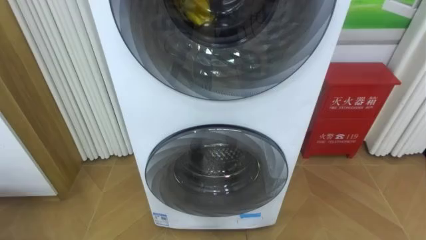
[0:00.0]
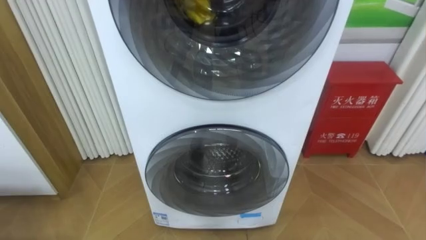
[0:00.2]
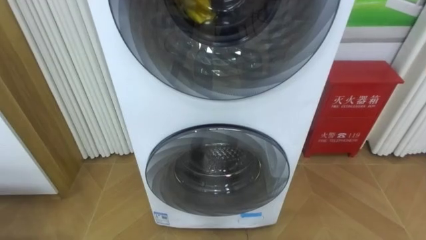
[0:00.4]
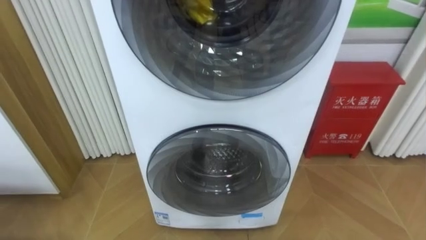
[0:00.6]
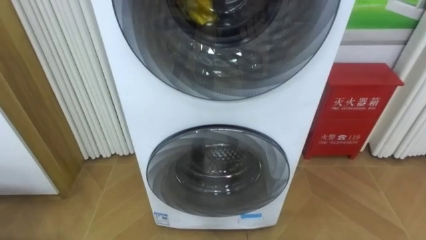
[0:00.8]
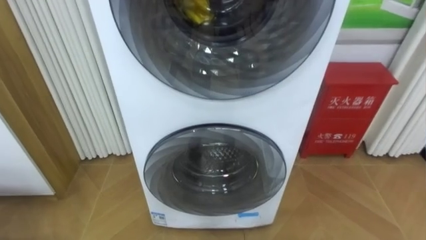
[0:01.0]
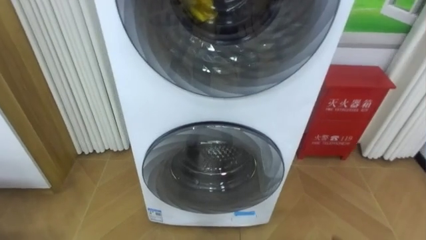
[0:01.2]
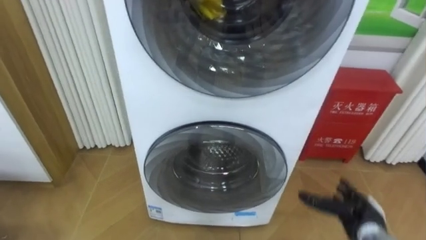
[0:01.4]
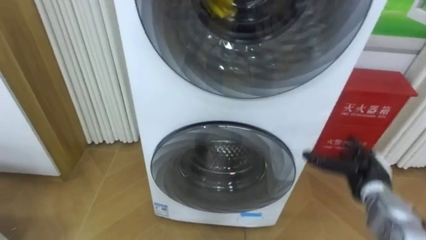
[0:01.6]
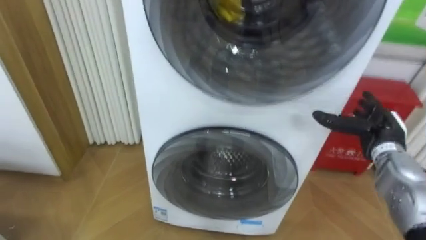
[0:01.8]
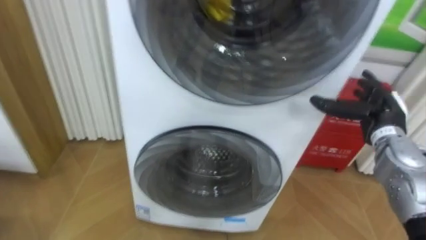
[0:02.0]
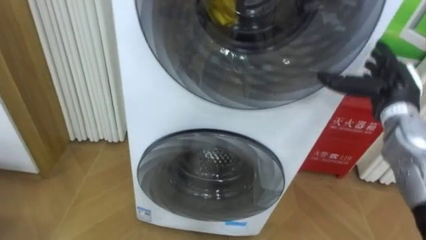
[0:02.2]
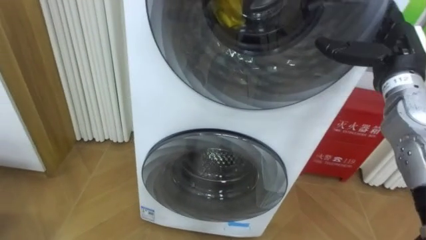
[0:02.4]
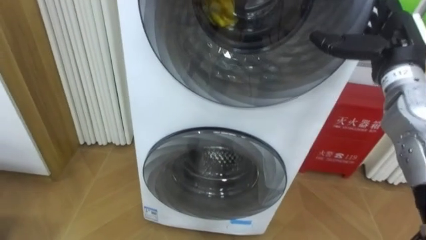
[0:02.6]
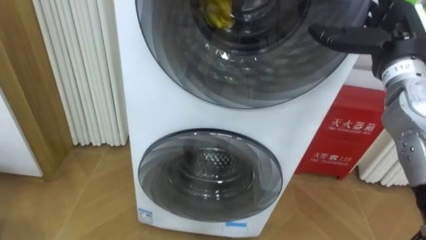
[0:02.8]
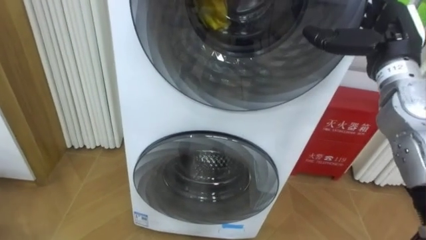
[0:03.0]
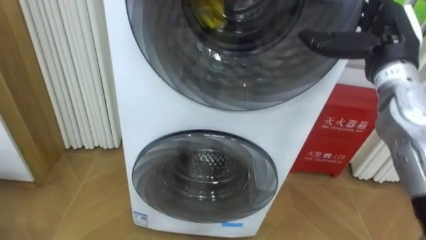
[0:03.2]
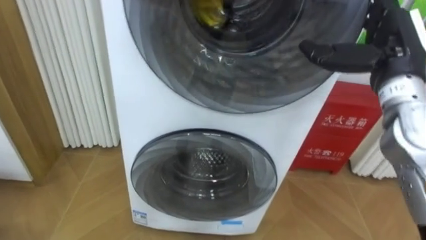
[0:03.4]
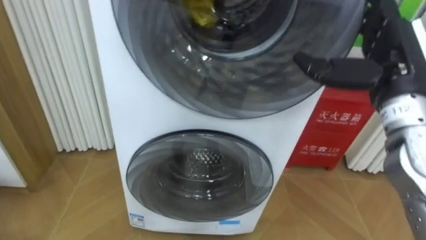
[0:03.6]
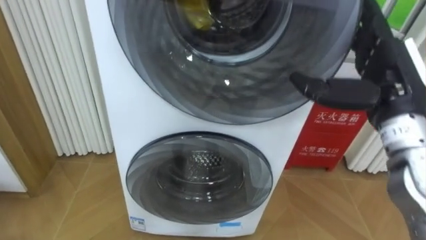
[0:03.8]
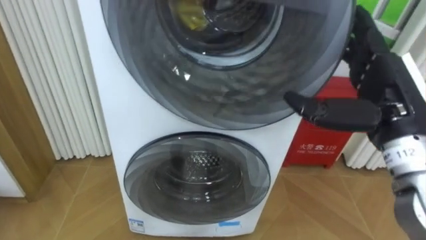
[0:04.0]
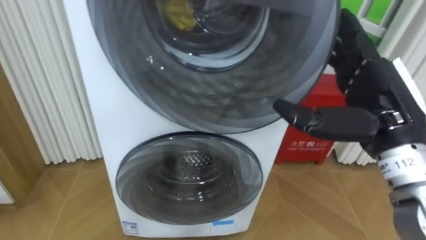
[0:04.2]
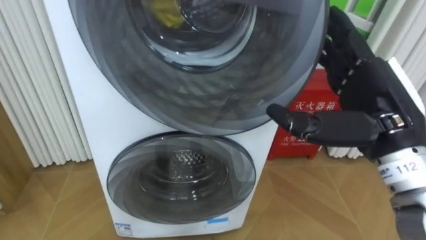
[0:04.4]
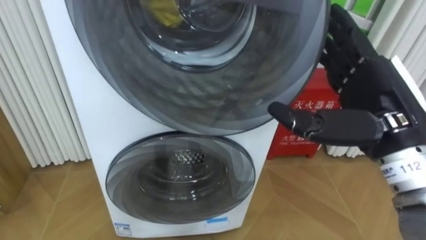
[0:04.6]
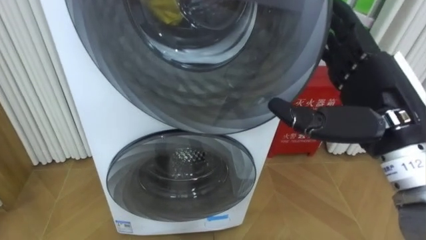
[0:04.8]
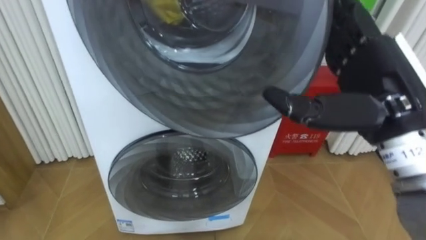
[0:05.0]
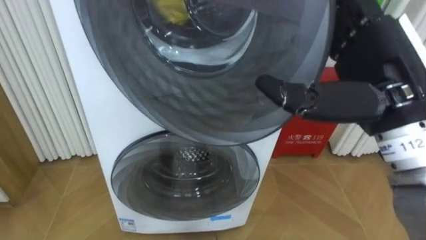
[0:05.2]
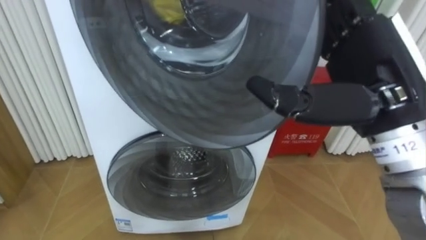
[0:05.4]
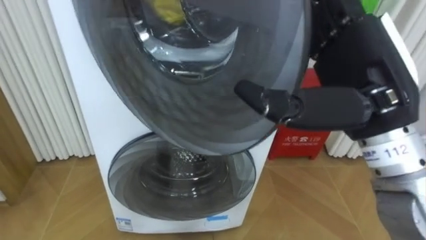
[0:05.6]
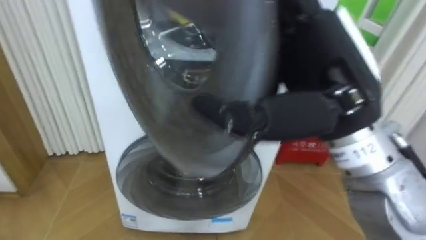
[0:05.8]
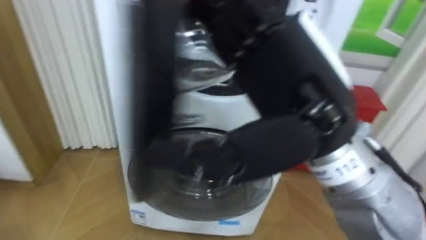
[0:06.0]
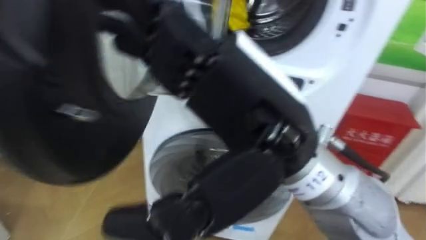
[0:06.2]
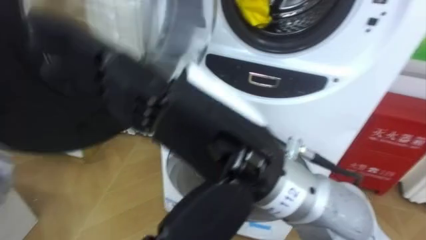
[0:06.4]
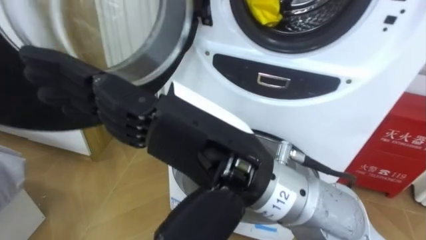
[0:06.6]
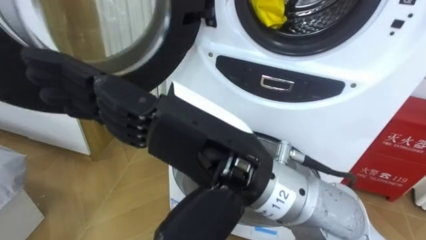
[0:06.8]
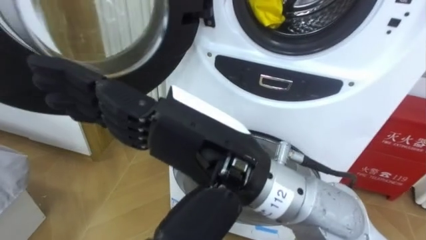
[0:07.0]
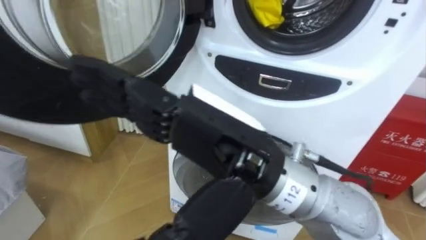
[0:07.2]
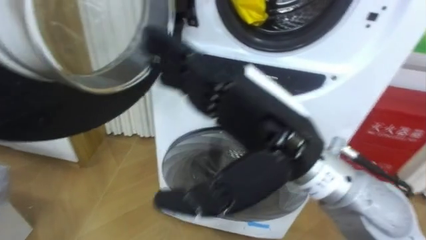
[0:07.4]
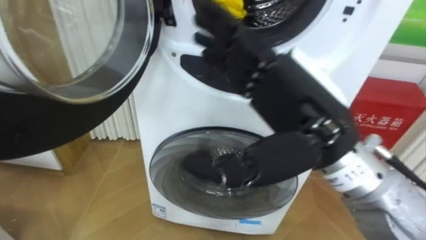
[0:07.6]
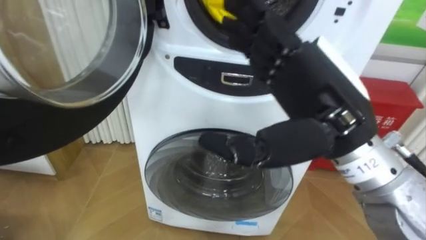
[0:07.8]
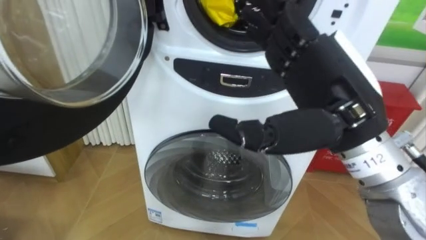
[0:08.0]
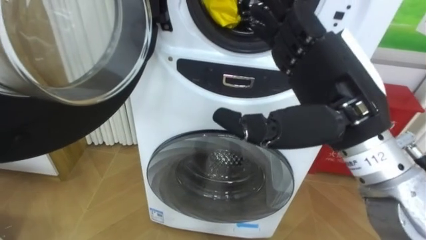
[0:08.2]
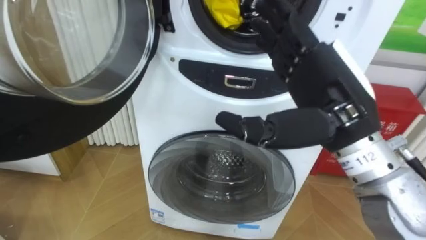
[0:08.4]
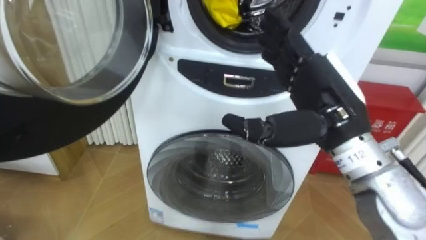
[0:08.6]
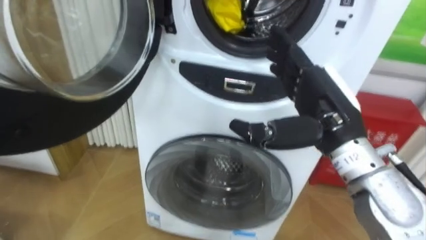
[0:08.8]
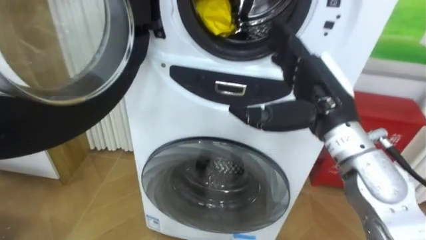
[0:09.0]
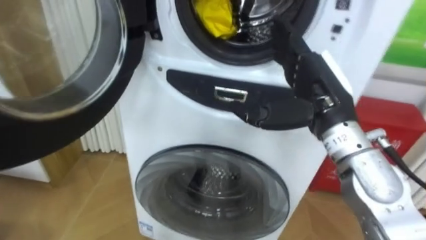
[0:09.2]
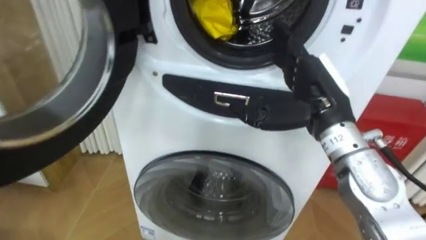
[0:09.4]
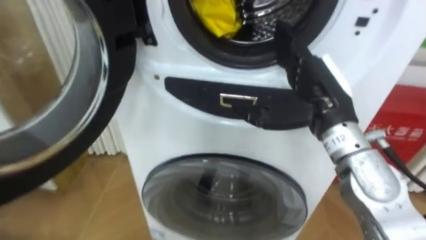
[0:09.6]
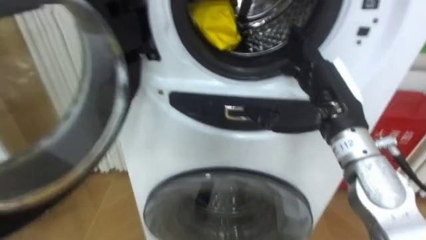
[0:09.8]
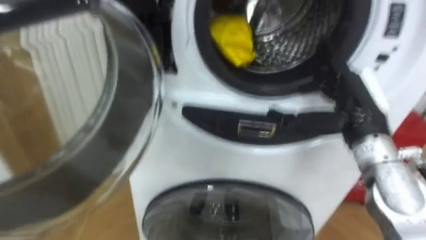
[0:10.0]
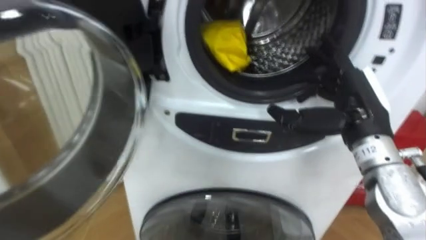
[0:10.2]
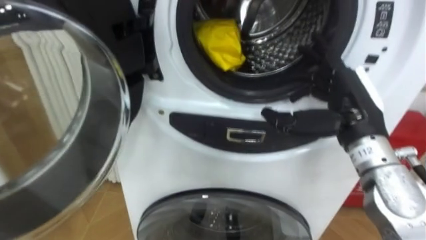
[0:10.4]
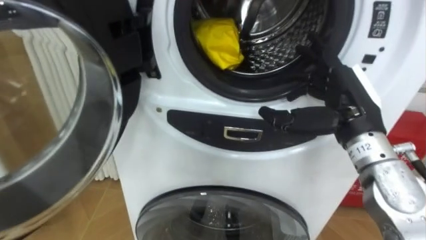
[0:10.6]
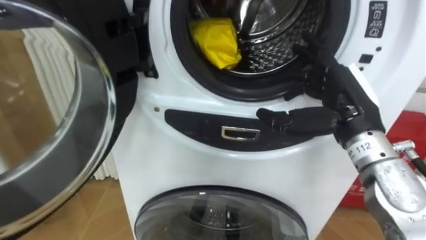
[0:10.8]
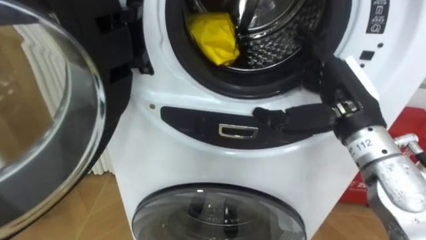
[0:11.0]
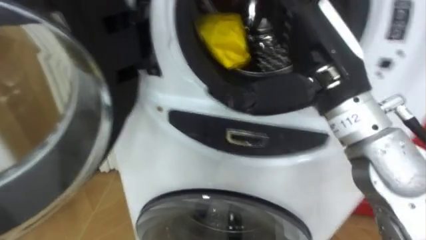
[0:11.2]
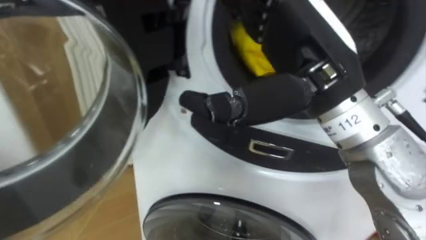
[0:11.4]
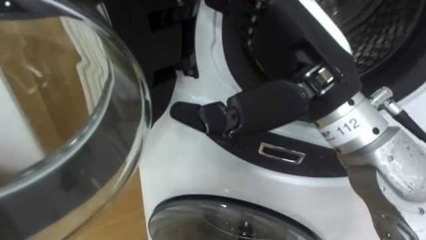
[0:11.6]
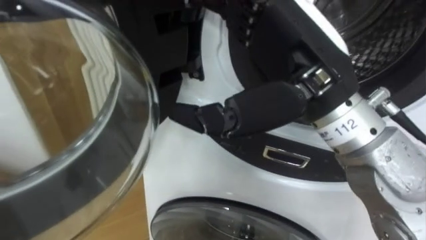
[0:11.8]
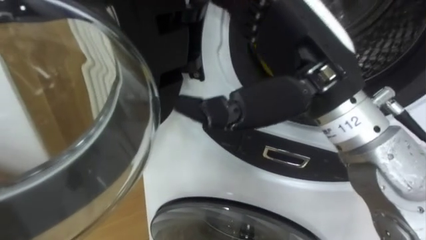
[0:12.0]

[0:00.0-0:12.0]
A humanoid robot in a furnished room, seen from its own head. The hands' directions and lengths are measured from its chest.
Task of the whole recording: Open the washing machine door, take out the yellow clothes, place them in the box on the right, and close the washing machine door.
0:01.6 to 0:03.0: The right hand is displaced upward by roughly 25 cm.
0:03.0 to 0:04.4: The right hand moves backward and to the left, approximately 15 cm.
0:04.4 to 0:06.0: The right hand heads to the left, upward and backward, covering roughly 15 cm.
0:06.0 to 0:07.6: The right hand reaches about 10 cm to the left, then returns.
0:07.6 to 0:09.0: The right hand heads forward, to the right and downward, covering about 10 cm.
0:09.0 to 0:10.4: The right hand travels to the right by some 5 cm.
0:10.4 to 0:12.0: The right hand moves upward, to the left and backward, some 20 cm.

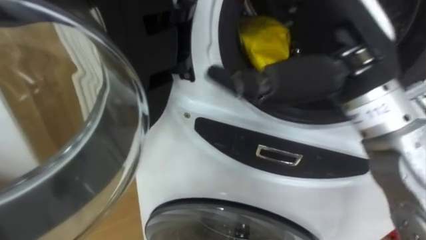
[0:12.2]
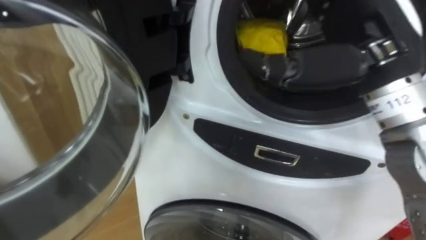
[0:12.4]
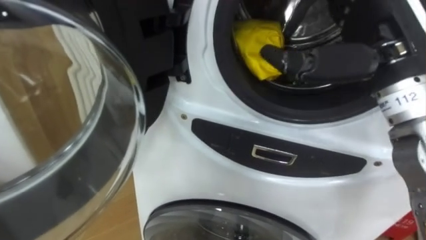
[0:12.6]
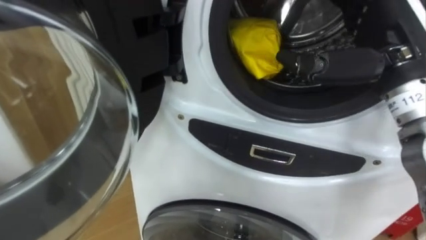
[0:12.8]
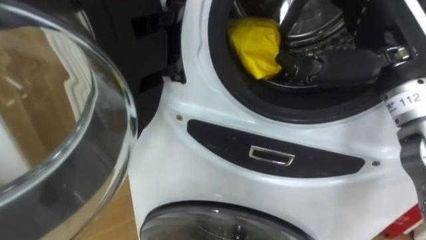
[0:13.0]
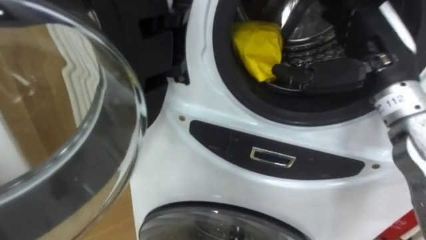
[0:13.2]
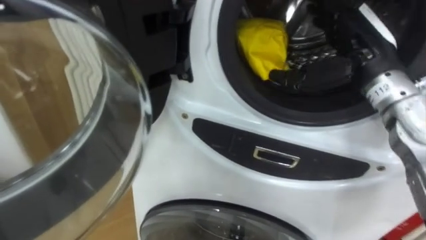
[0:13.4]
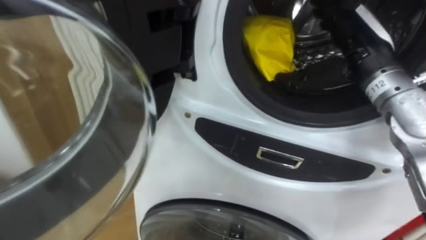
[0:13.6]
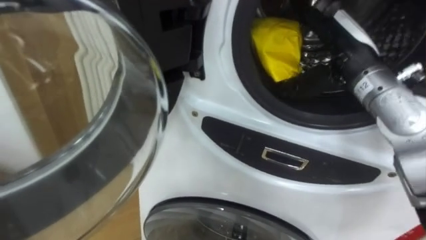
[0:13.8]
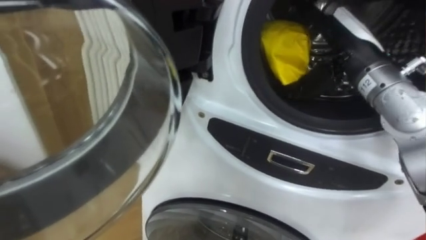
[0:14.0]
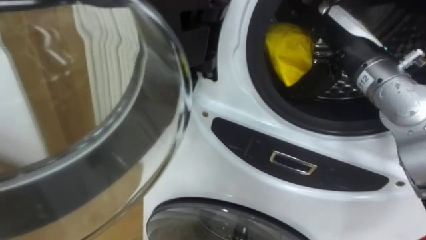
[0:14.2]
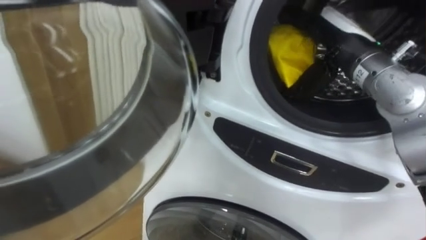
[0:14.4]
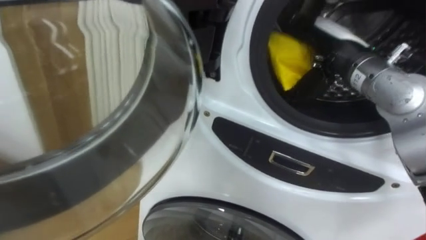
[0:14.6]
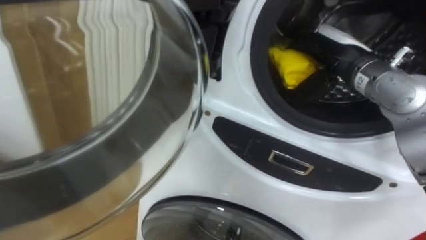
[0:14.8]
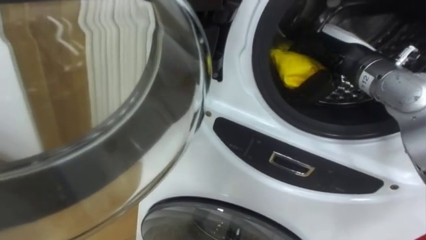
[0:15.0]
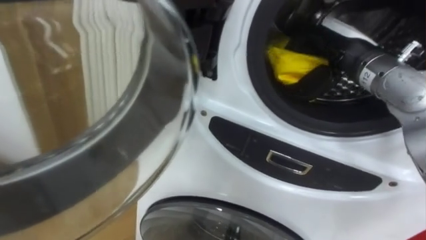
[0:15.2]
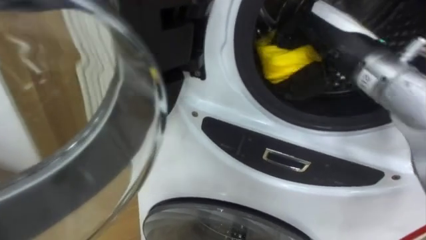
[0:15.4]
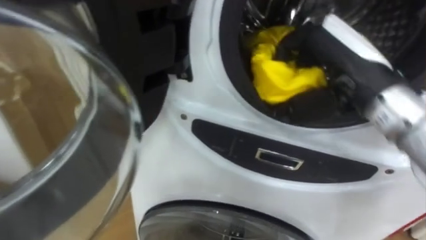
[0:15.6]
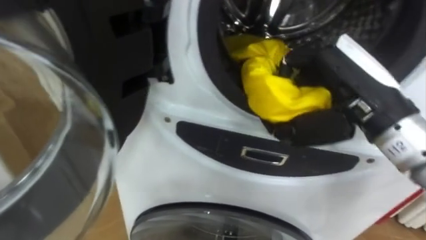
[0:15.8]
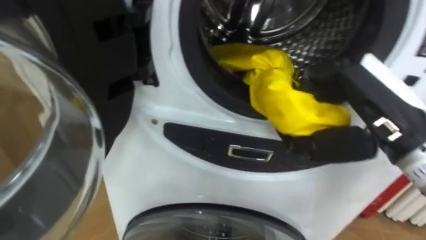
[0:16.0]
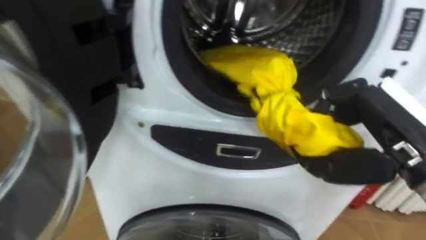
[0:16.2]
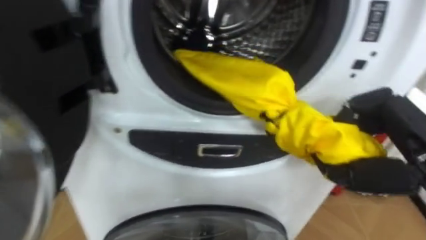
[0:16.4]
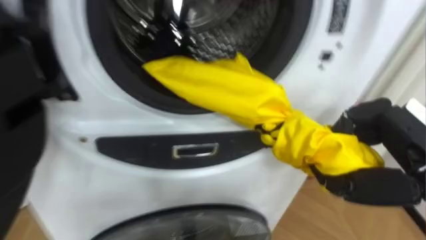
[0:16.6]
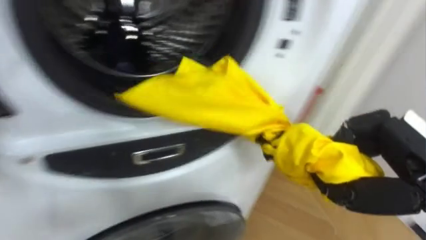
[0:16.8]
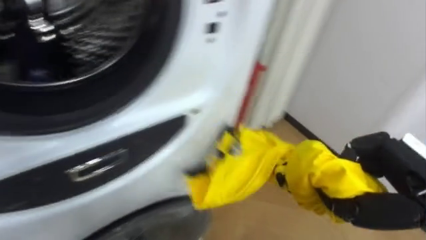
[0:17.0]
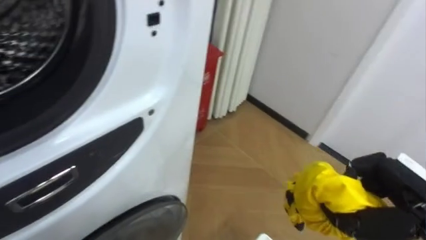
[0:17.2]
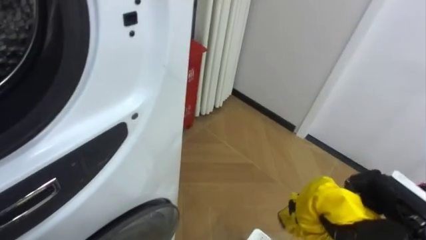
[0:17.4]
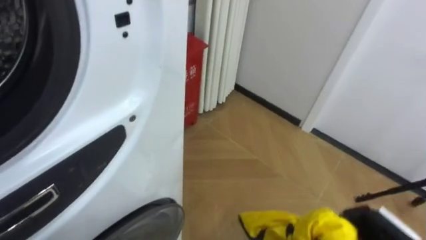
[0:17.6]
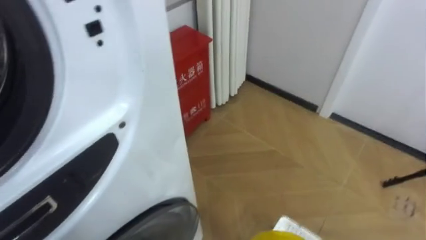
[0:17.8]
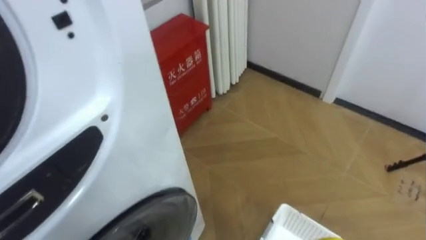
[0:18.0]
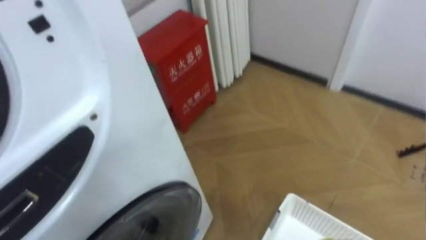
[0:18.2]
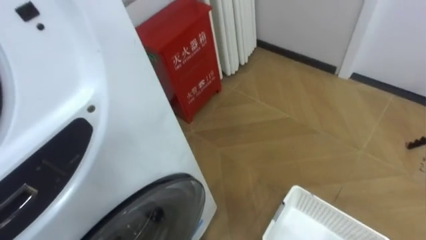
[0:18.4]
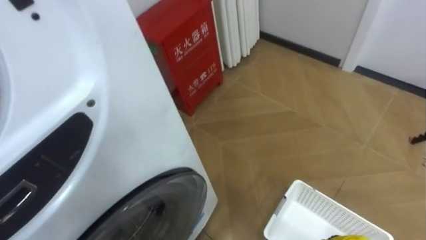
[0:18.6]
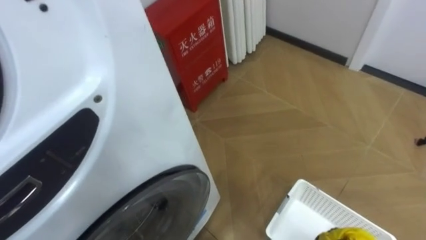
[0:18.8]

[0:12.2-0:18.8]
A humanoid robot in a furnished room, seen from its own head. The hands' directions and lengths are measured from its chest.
Task of the whole recording: Open the washing machine door, take out the yellow clothes, place them in the box on the right, and close the washing machine door.
0:12.2 to 0:13.8: The right hand heads forward, downward and to the right, covering some 15 cm.
0:13.8 to 0:15.4: The right hand closes.
0:15.4 to 0:17.2: The right hand moves downward, backward and to the right, some 25 cm.
